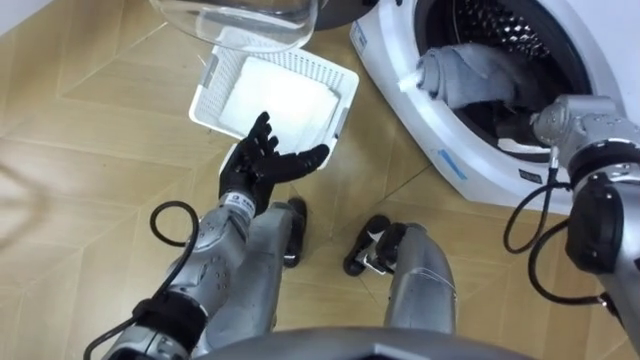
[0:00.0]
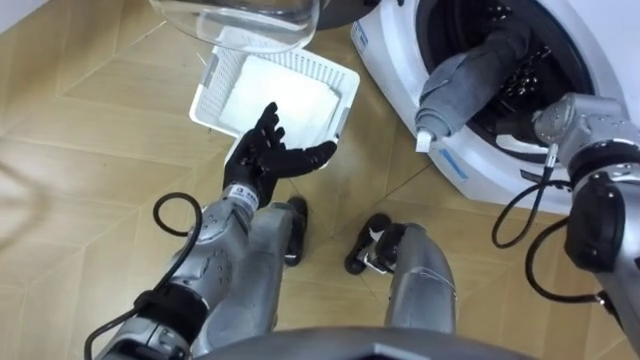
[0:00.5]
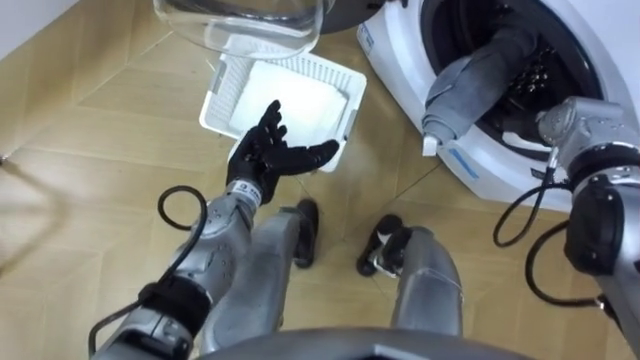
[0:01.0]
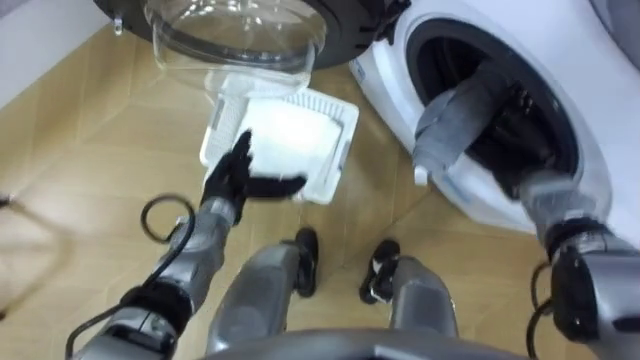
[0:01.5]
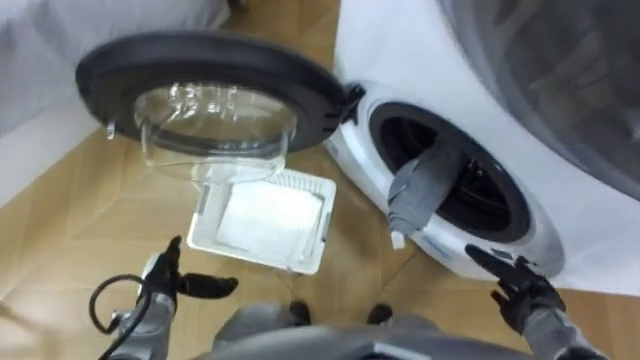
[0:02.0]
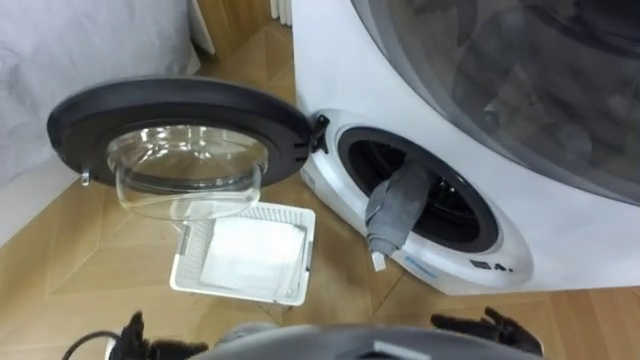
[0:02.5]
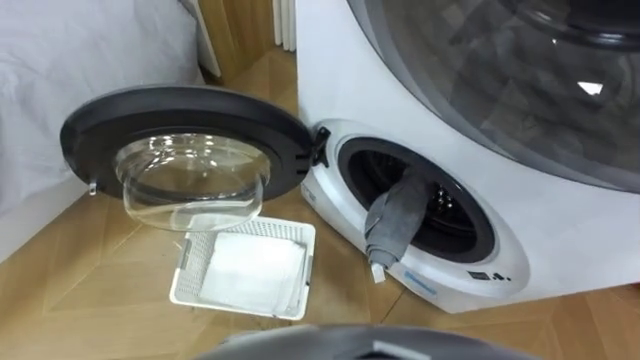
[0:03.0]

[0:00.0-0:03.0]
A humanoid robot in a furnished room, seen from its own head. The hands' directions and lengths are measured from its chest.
Task of the whole recording: Take the towel from the basket and put it into the washing machine.
0:00.0 to 0:01.5: The left hand ends up about 5 cm from where it was. The right hand travels downward and backward by some 10 cm.

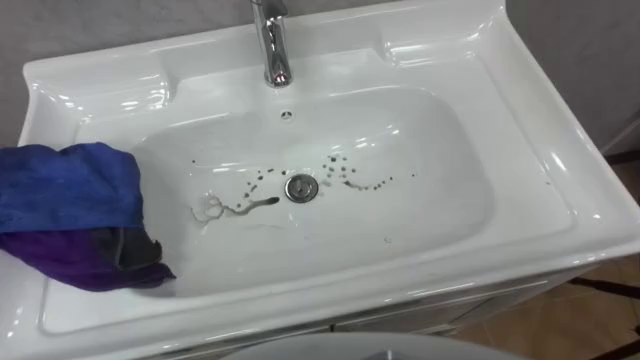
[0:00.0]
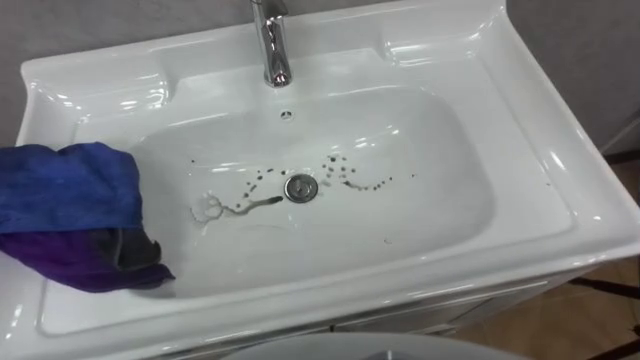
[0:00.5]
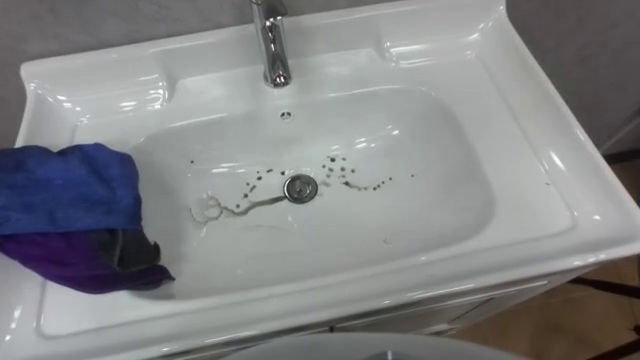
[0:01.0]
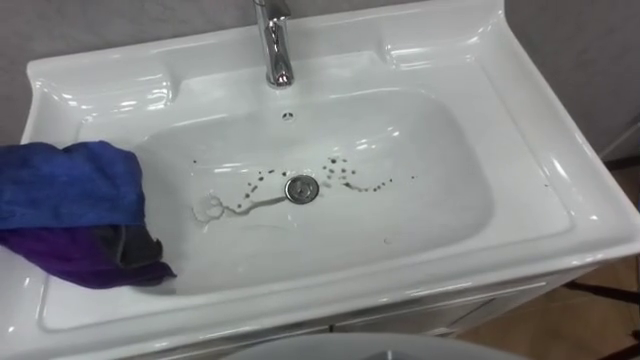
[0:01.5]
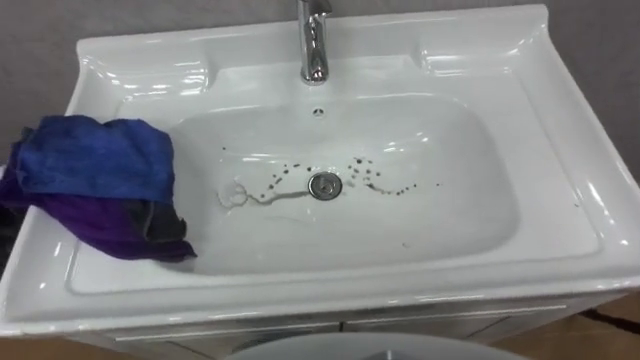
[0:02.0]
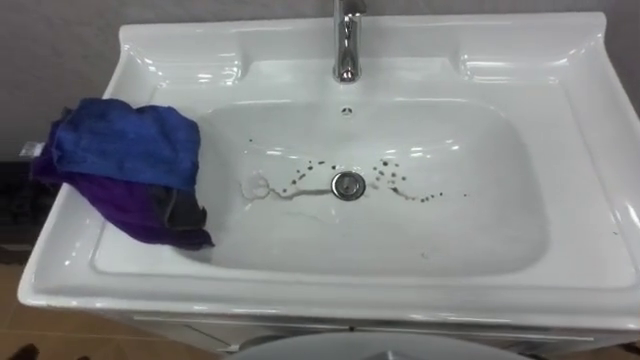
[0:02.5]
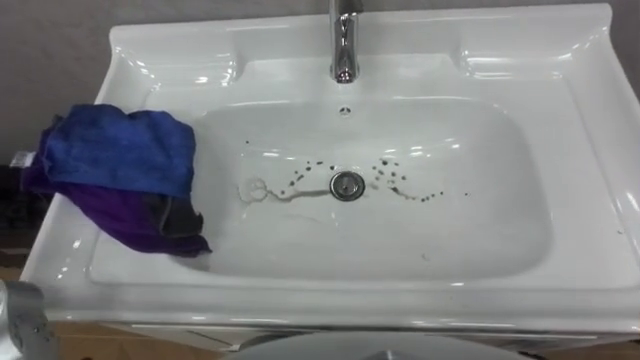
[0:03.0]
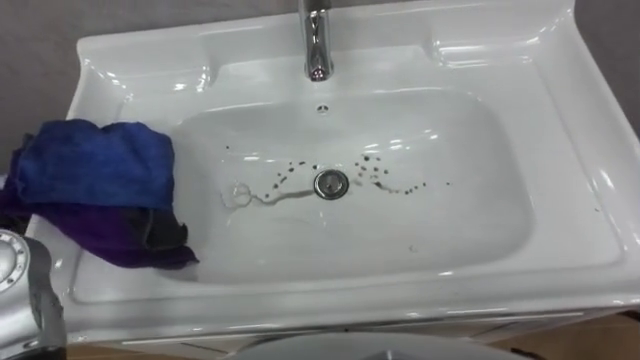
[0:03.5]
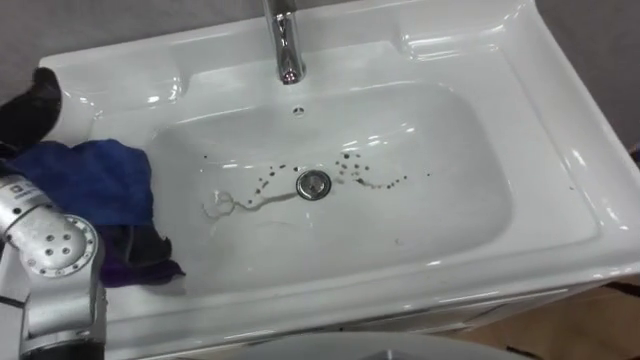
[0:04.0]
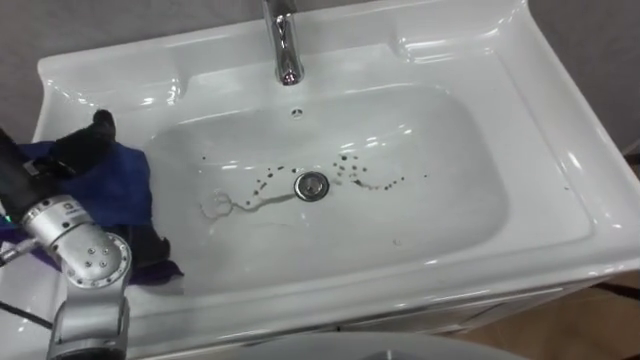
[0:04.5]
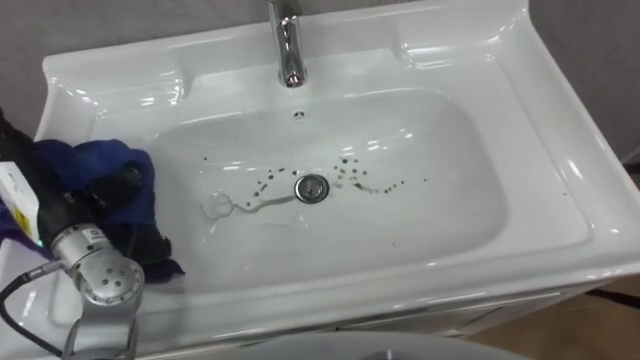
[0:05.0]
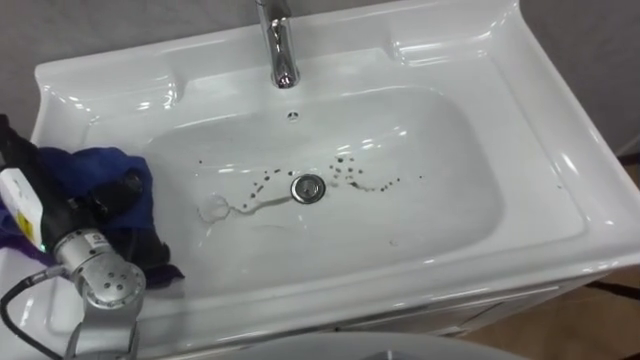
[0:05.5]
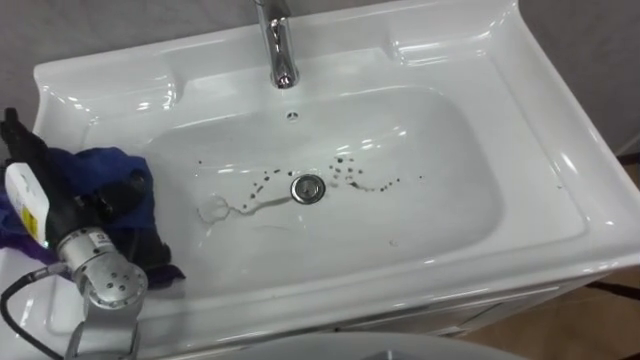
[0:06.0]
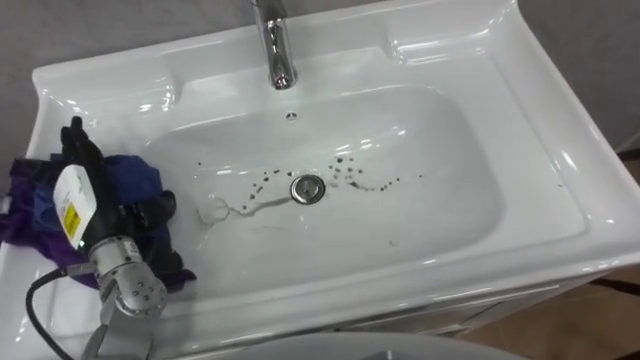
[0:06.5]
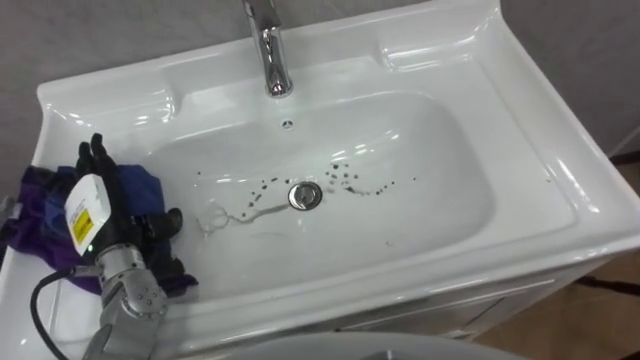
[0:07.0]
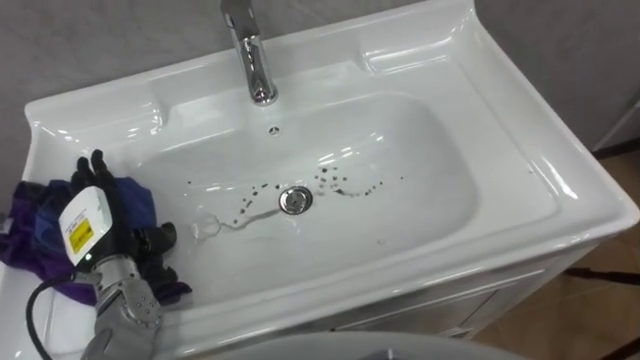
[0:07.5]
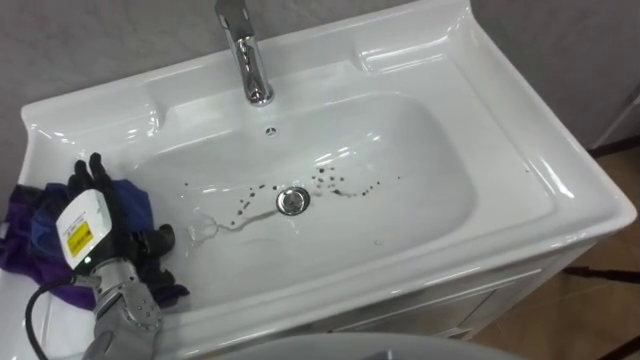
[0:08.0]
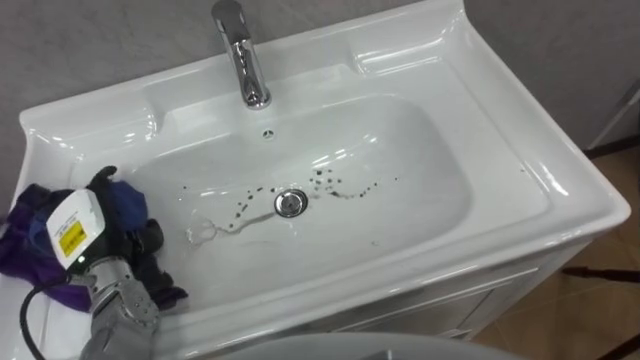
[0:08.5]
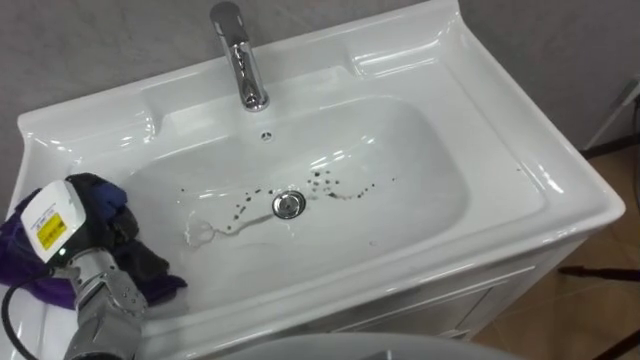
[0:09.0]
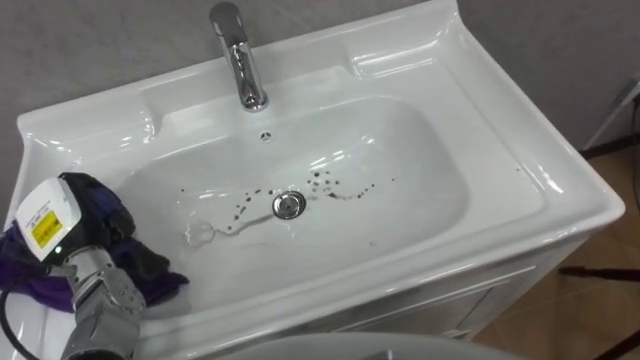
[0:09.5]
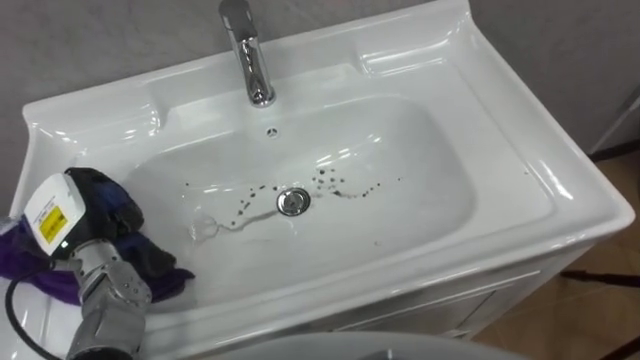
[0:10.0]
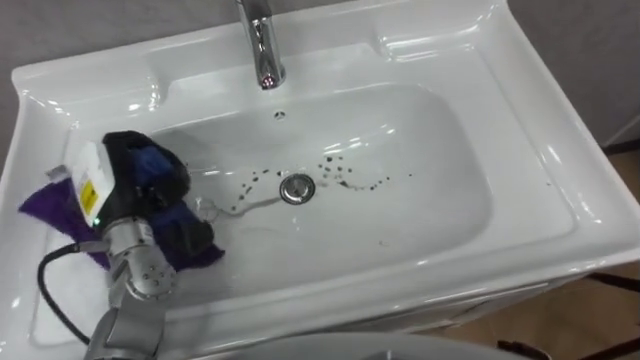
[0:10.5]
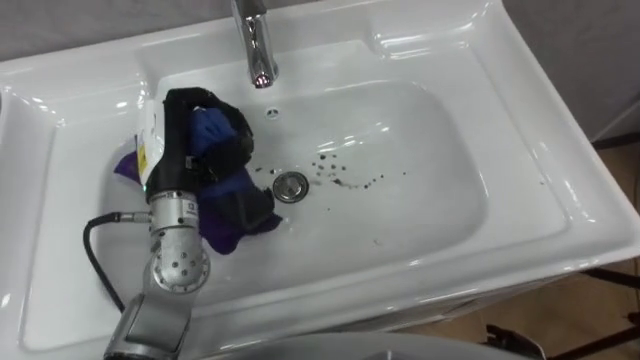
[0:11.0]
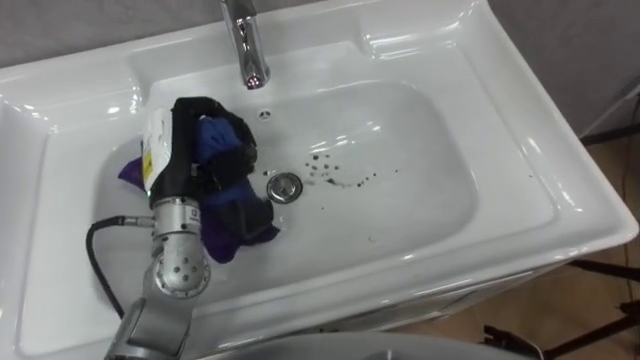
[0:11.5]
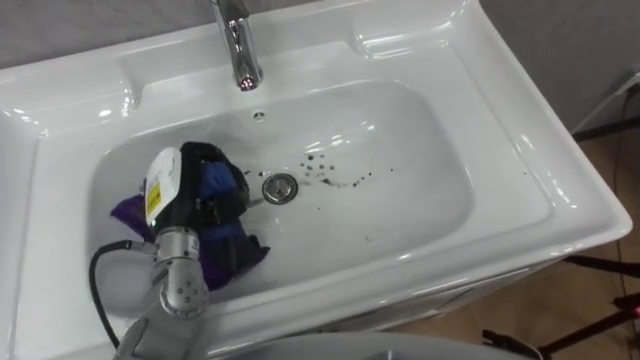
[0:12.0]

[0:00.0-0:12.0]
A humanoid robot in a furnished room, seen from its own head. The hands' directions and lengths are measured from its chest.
Task of the whole recording: Use the cloth on the right to wipe away the black stain in the sink.
0:06.0 to 0:08.0: The left hand moves downward, some 10 cm.
0:08.0 to 0:10.0: The left hand closes up.
0:10.0 to 0:12.0: The left hand goes some 10 cm to the right.

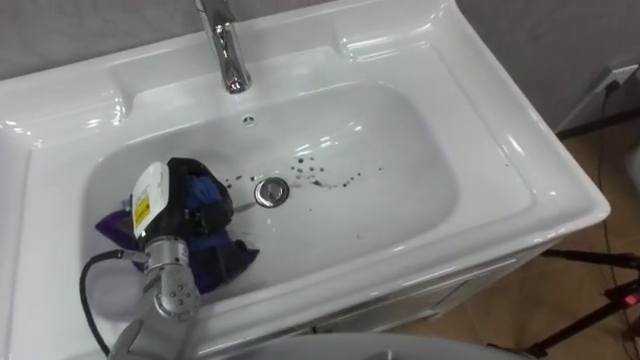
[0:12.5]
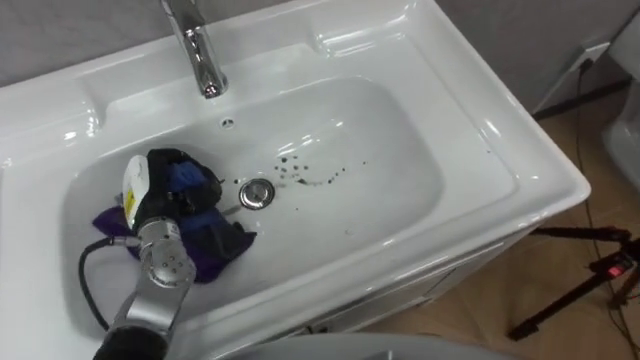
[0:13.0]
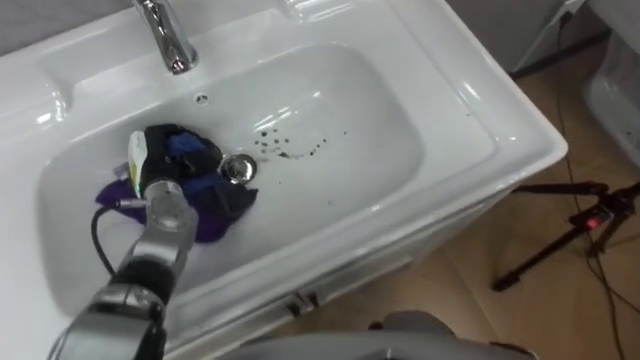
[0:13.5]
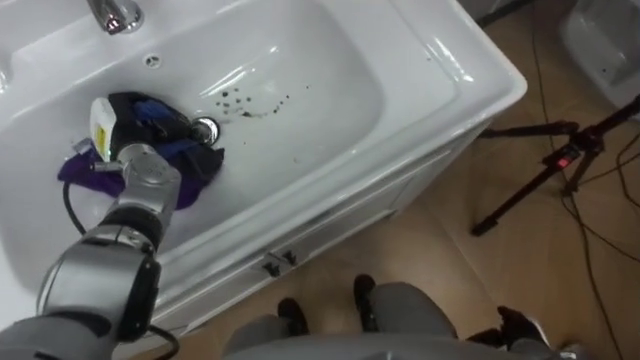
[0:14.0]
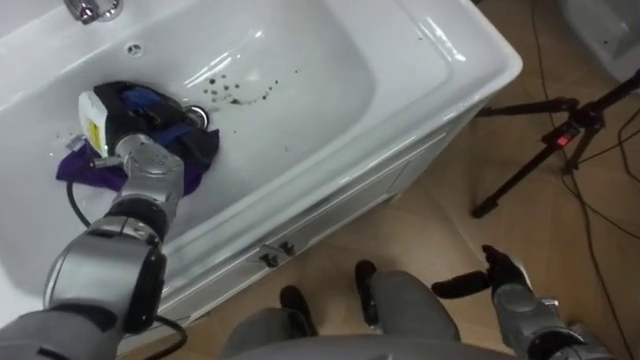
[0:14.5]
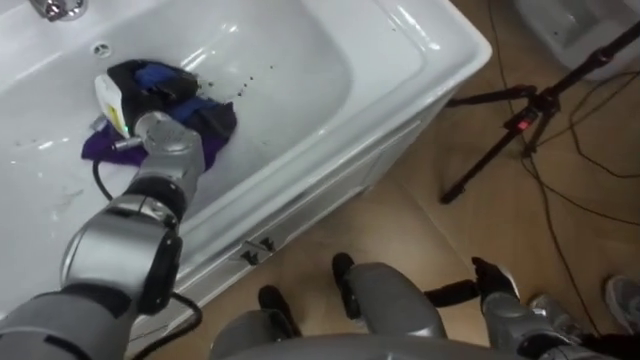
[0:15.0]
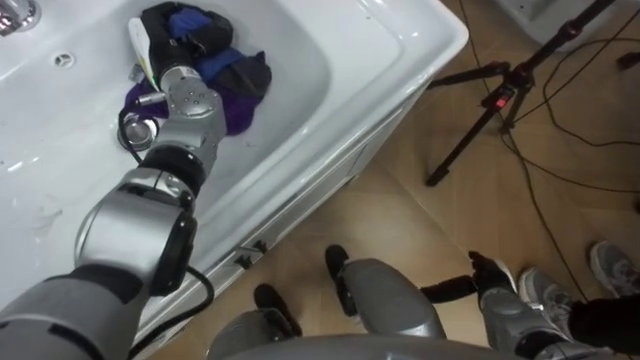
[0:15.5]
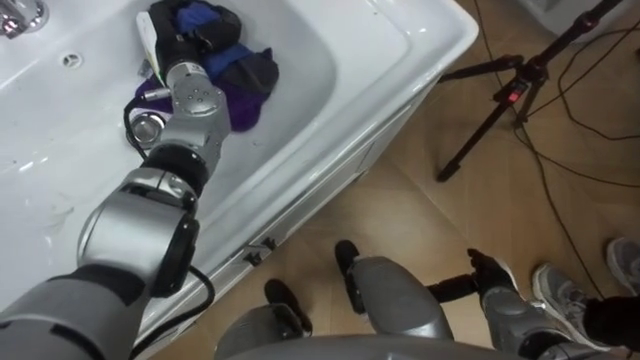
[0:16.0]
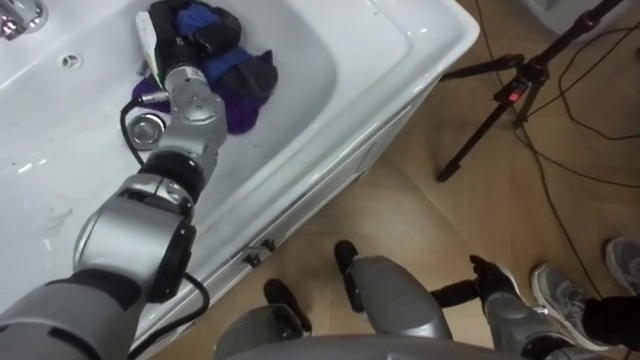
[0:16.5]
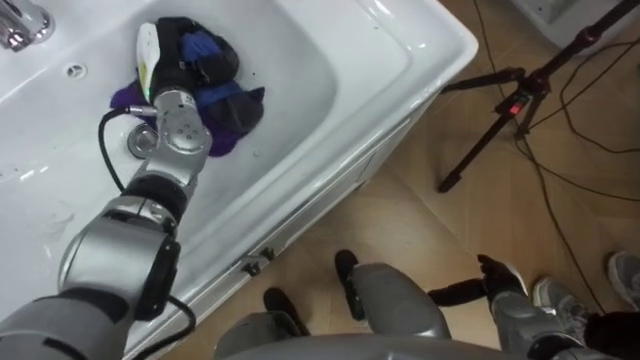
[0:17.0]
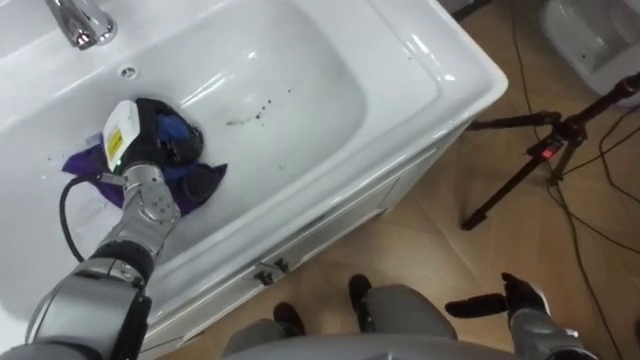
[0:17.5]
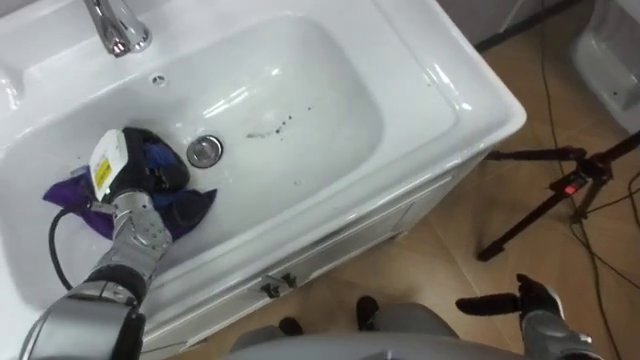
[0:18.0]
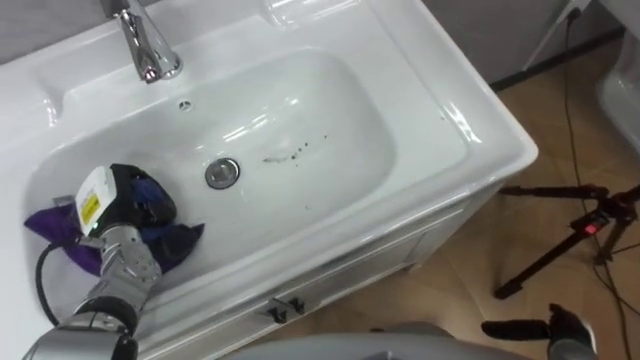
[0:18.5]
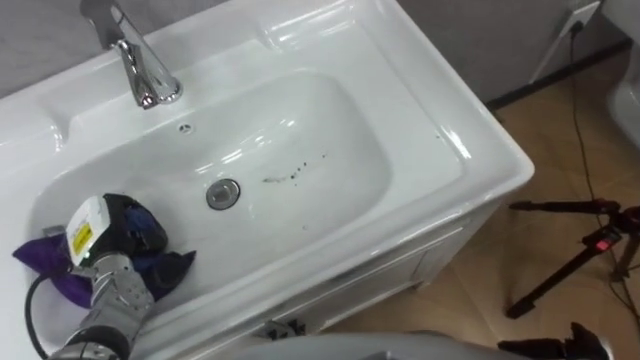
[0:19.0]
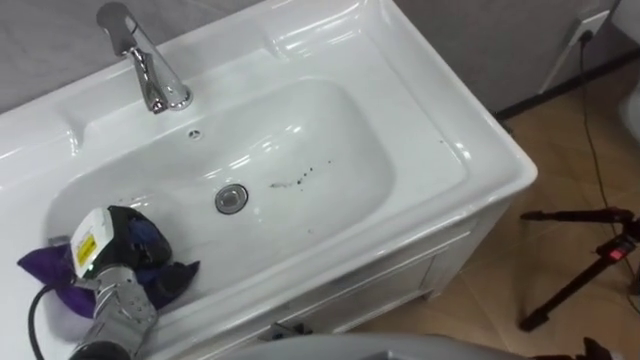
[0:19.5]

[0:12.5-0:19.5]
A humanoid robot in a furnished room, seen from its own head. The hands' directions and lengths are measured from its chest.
Task of the whole recording: Use the cloth on the right to wipe away the black stain in the sink.
0:12.5 to 0:14.5: The left hand heads forward and to the left, covering about 15 cm.
0:14.5 to 0:16.0: The left hand goes approximately 15 cm to the right, forward and upward.
0:16.0 to 0:17.5: The right hand ends up some 5 cm from where it was; the left hand travels backward, downward and to the left by about 15 cm.
0:17.5 to 0:19.5: The left hand moves backward and downward, roughly 15 cm.
